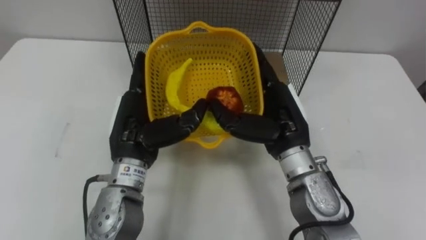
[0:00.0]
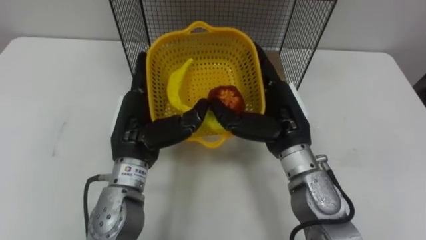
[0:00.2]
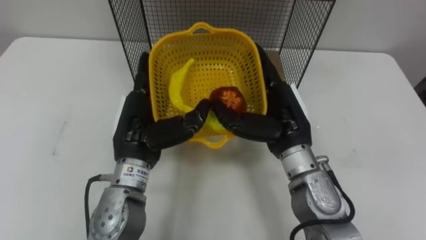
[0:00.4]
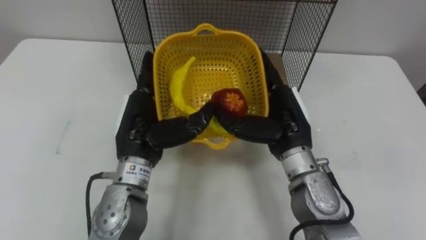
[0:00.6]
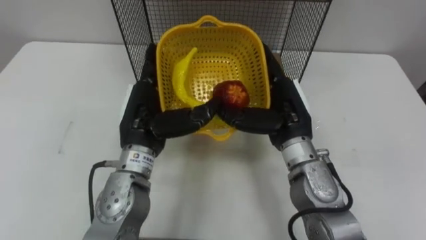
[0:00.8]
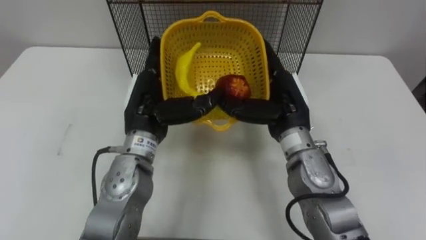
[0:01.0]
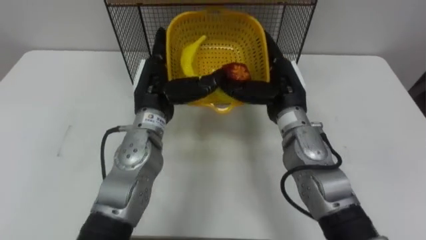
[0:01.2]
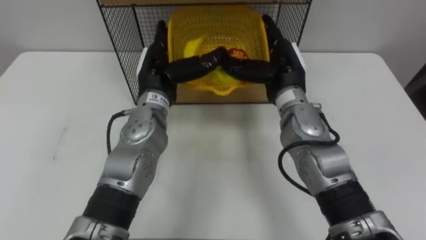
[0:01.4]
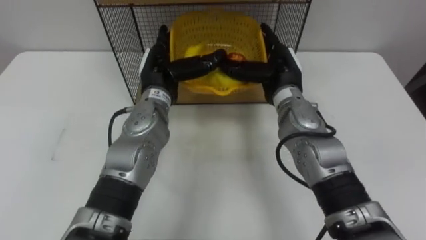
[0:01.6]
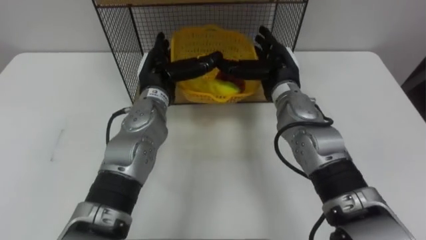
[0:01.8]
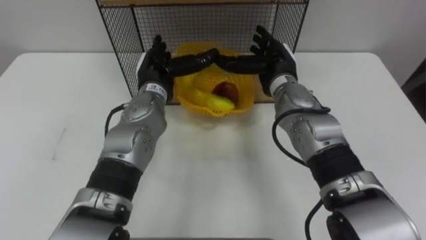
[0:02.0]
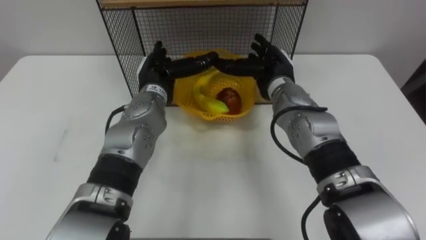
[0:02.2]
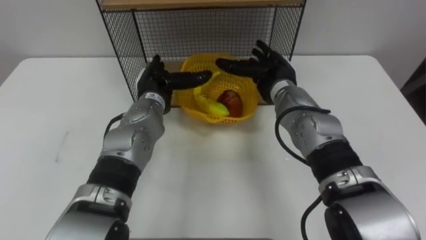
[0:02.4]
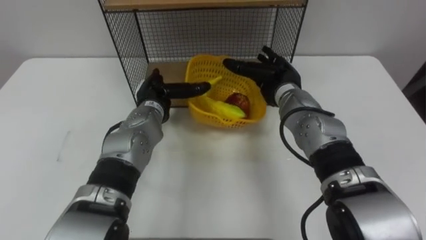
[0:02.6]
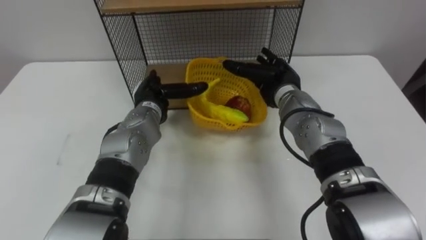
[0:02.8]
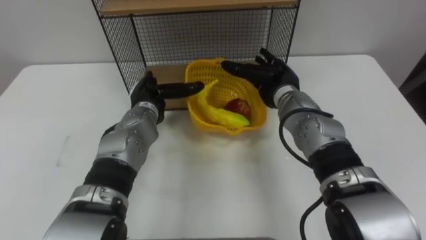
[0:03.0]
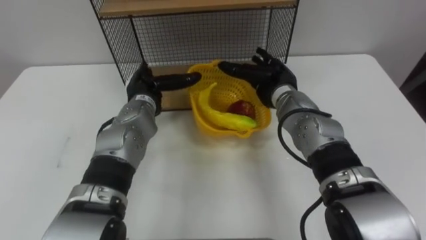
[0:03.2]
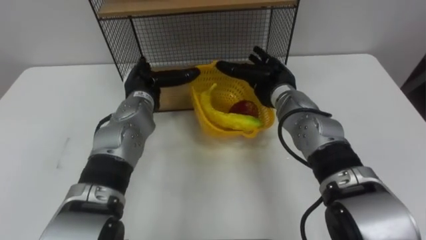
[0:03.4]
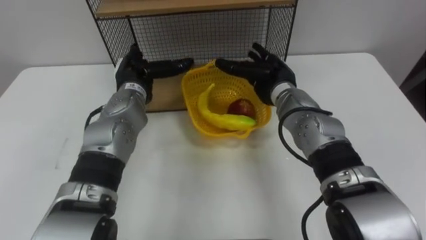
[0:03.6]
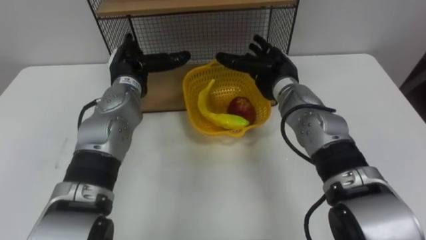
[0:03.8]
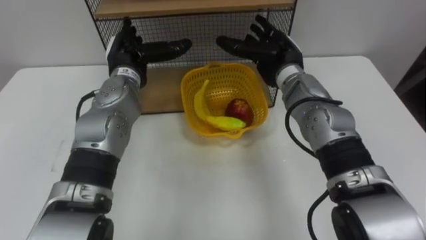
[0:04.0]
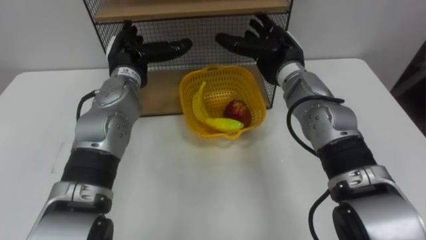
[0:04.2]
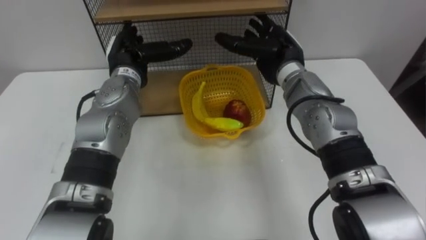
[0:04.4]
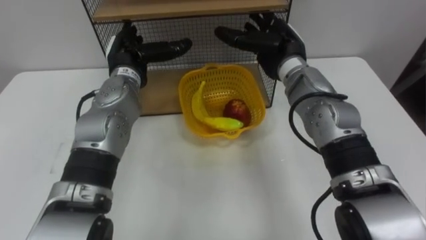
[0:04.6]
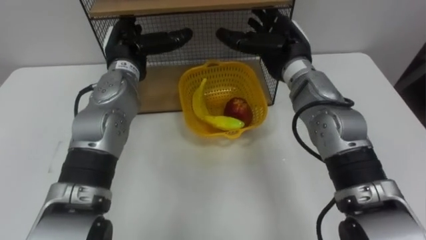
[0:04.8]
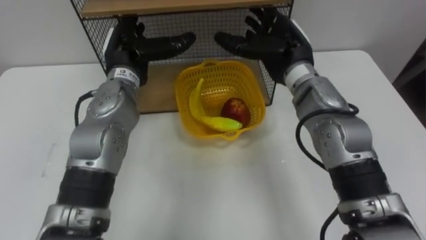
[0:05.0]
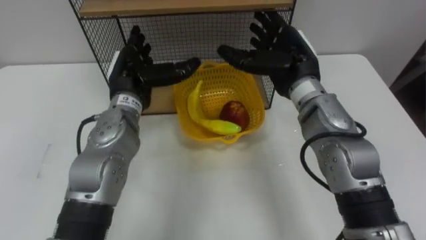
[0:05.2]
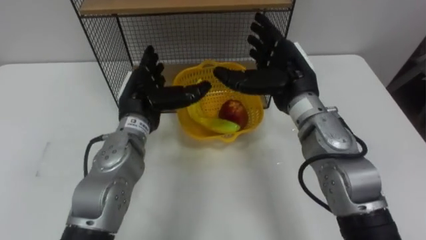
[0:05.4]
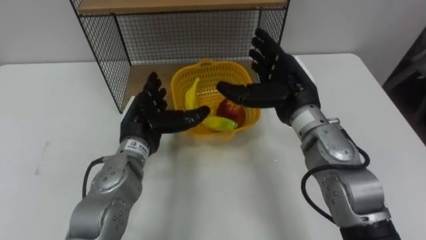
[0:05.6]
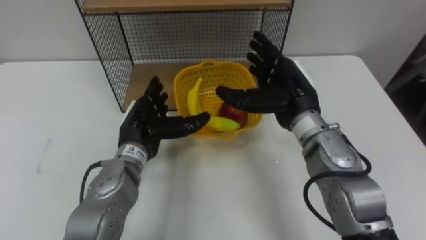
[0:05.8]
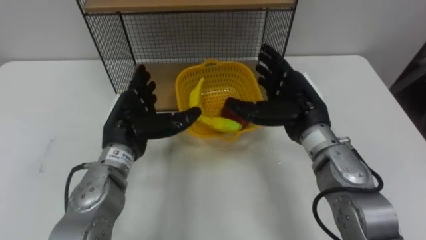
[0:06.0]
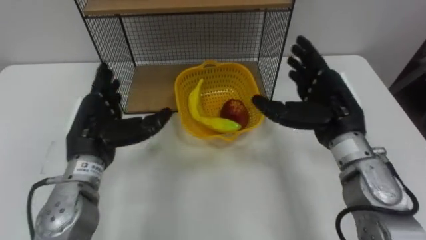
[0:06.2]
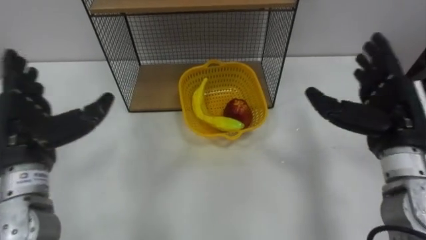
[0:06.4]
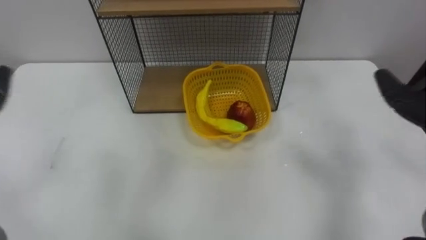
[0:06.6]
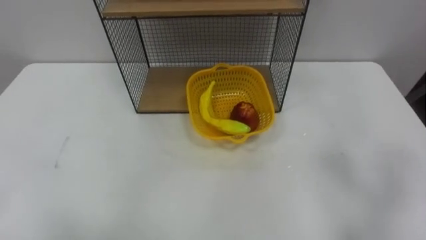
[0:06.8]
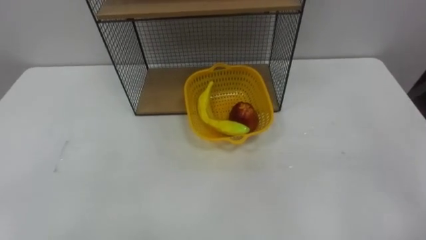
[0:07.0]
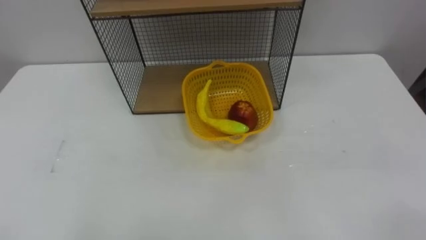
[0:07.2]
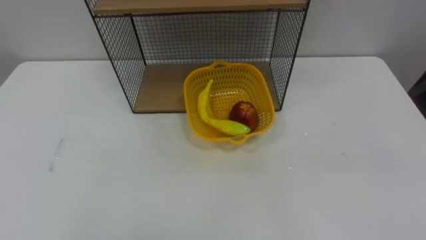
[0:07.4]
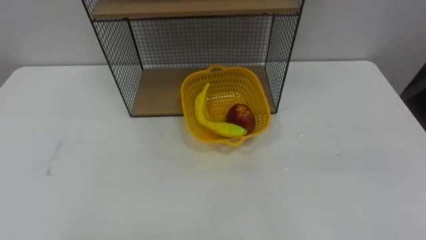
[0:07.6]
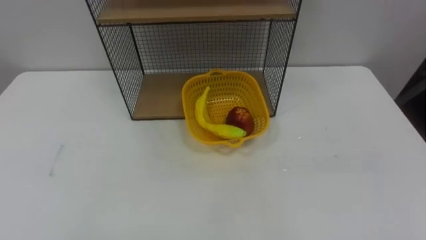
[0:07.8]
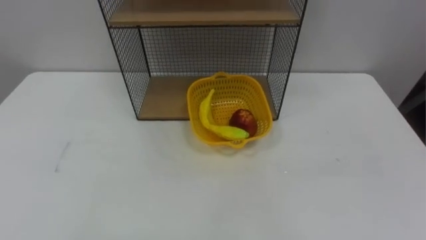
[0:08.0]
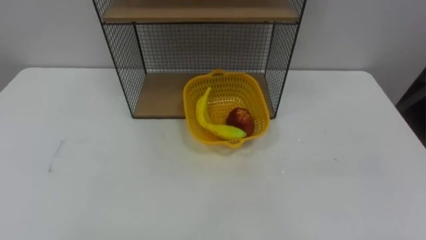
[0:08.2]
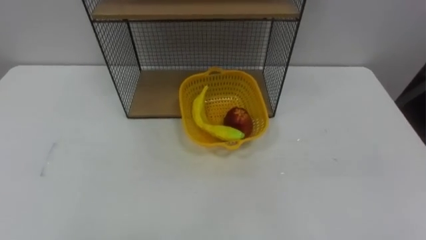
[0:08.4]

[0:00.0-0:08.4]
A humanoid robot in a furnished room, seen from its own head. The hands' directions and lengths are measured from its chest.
Task of the whole recording: Put the fruit on the table into the basket, then place the basket on the shelf.
0:00.0 to 0:01.4: The two hands go some 10 cm forward.
0:01.4 to 0:02.8: Both hands move downward, some 5 cm.
0:02.8 to 0:04.2: Both hands travel together upward, some 5 cm.
0:04.2 to 0:05.6: The right hand travels backward by roughly 10 cm; the left hand is displaced backward and downward by some 10 cm.

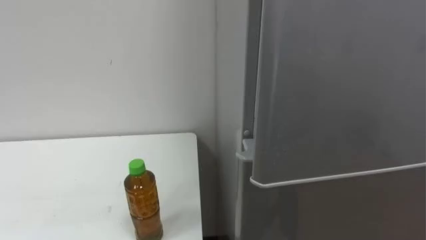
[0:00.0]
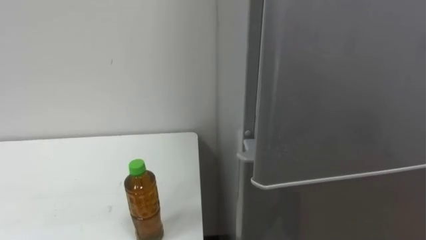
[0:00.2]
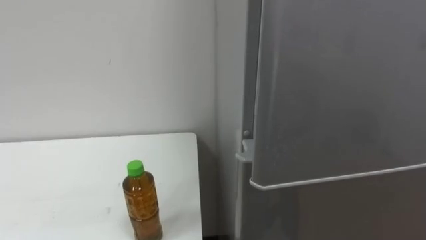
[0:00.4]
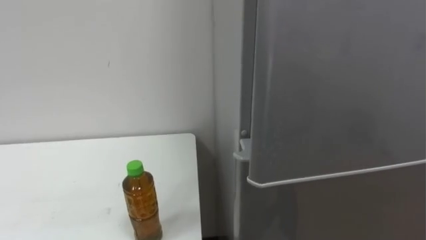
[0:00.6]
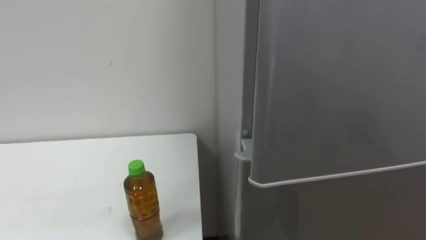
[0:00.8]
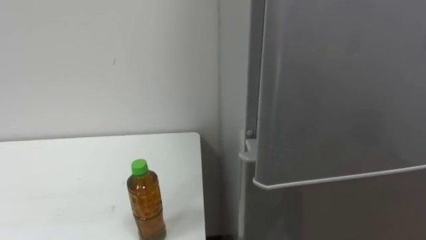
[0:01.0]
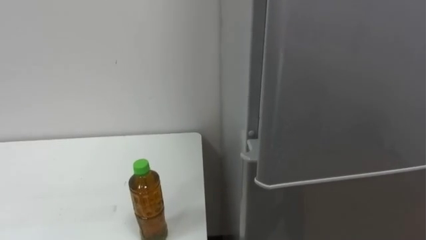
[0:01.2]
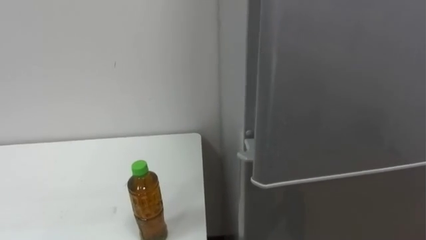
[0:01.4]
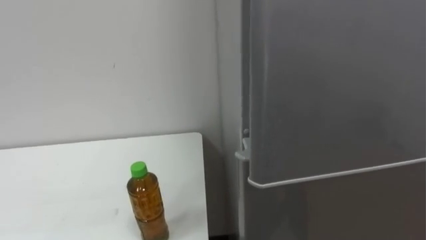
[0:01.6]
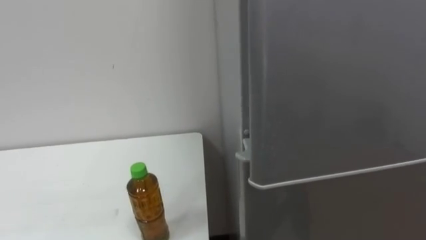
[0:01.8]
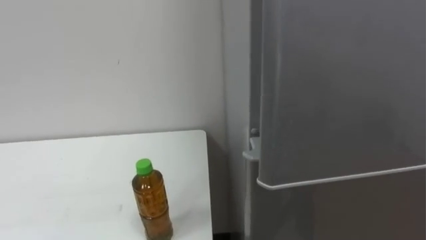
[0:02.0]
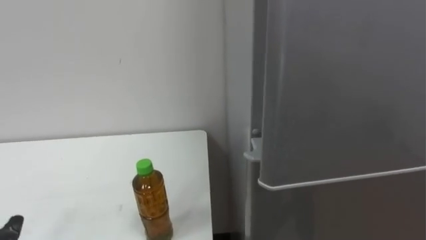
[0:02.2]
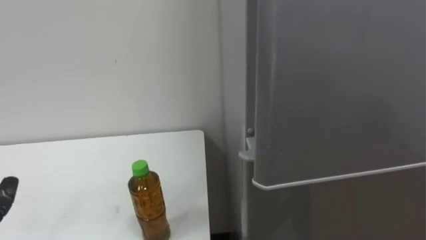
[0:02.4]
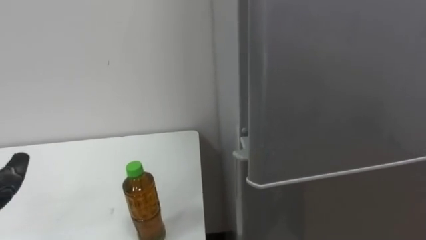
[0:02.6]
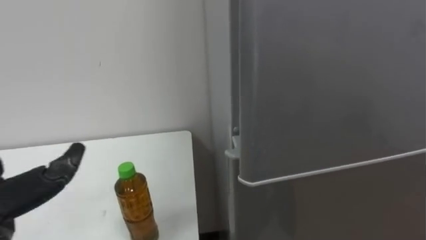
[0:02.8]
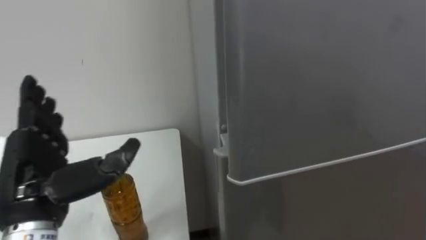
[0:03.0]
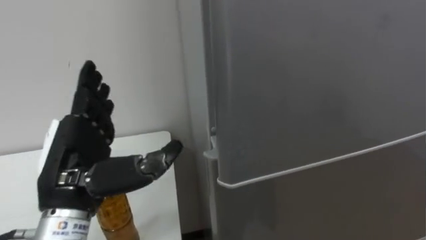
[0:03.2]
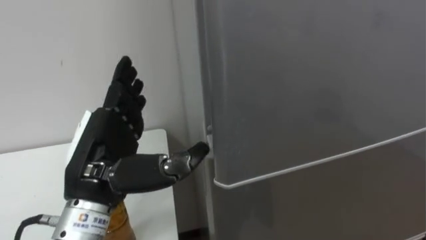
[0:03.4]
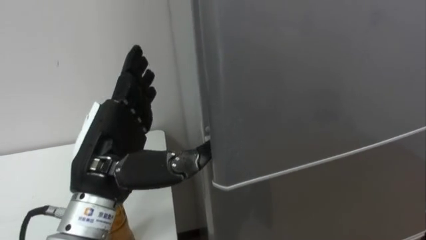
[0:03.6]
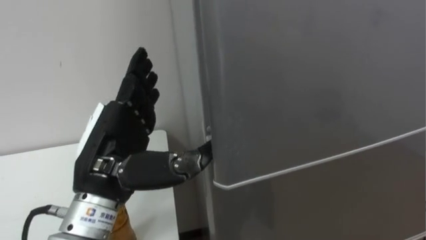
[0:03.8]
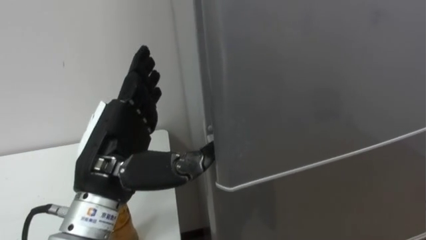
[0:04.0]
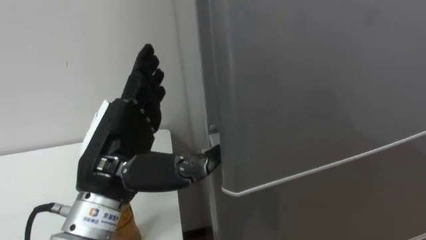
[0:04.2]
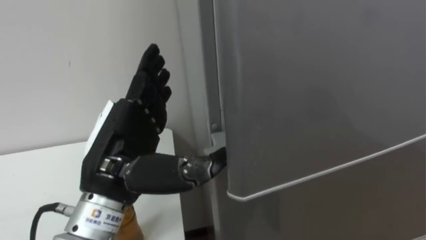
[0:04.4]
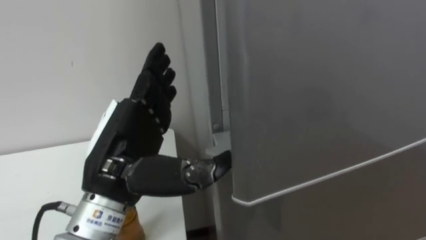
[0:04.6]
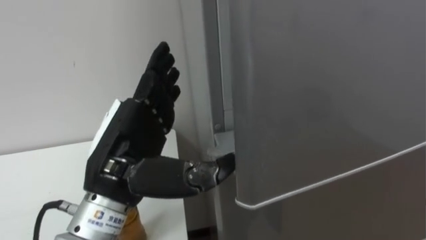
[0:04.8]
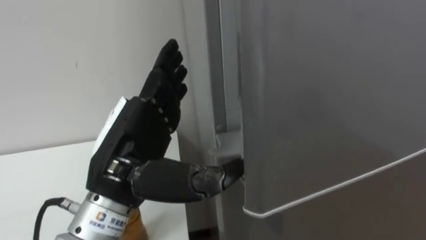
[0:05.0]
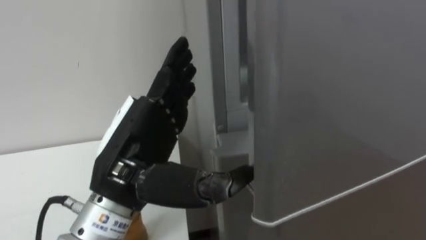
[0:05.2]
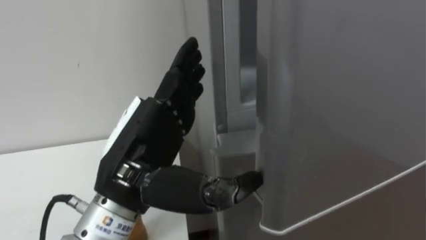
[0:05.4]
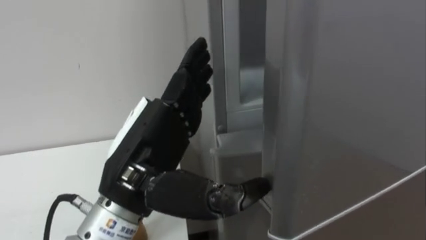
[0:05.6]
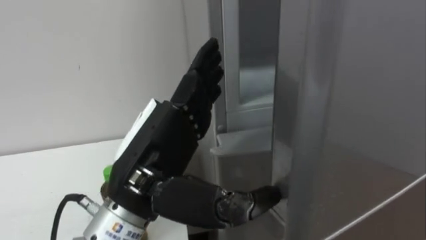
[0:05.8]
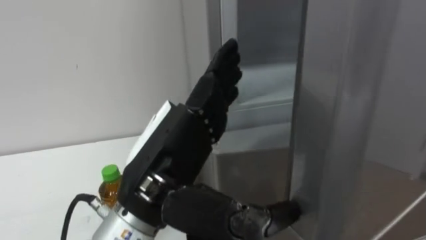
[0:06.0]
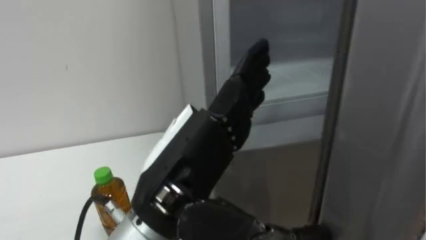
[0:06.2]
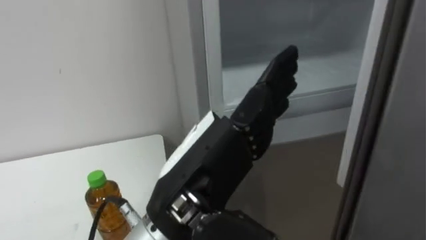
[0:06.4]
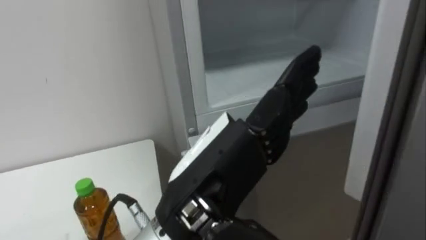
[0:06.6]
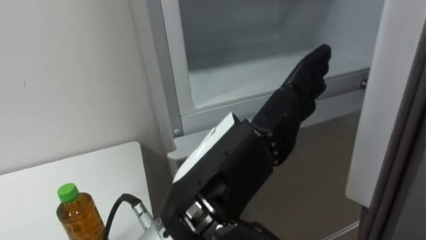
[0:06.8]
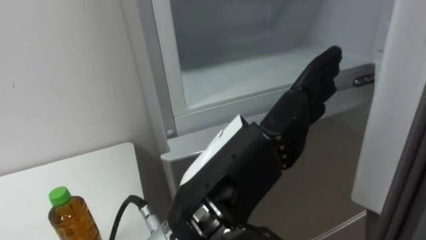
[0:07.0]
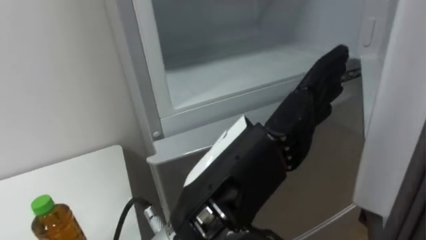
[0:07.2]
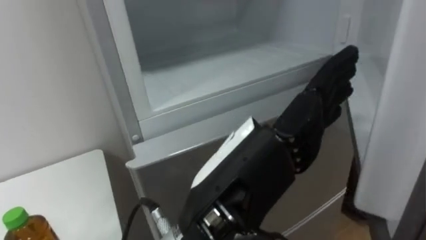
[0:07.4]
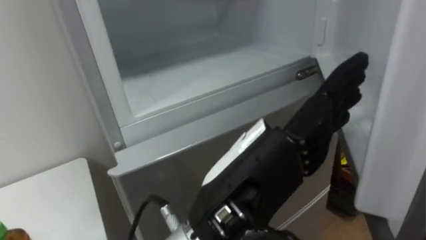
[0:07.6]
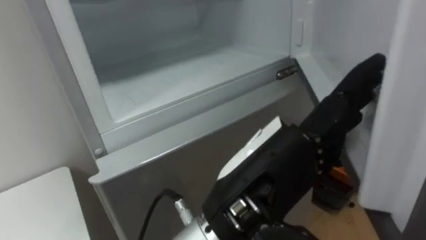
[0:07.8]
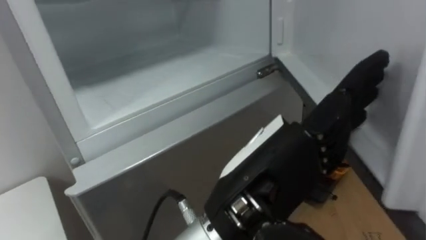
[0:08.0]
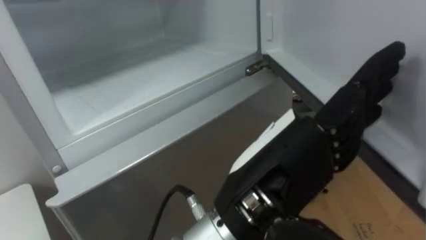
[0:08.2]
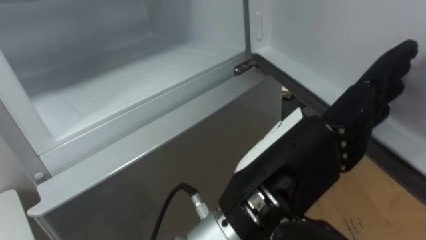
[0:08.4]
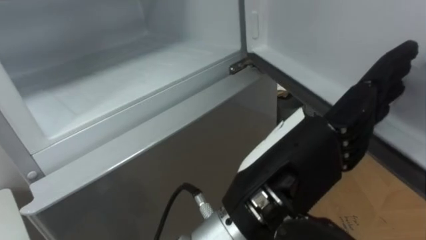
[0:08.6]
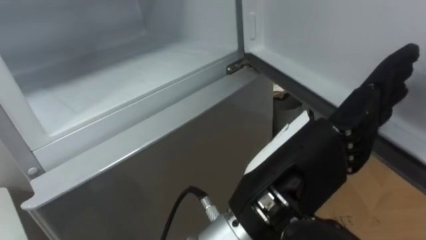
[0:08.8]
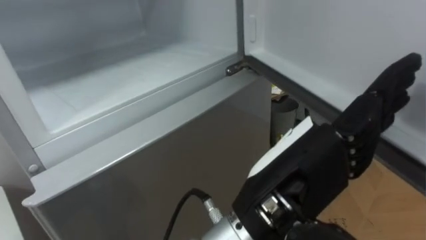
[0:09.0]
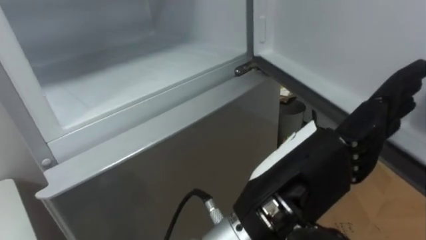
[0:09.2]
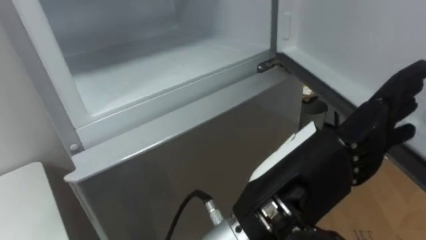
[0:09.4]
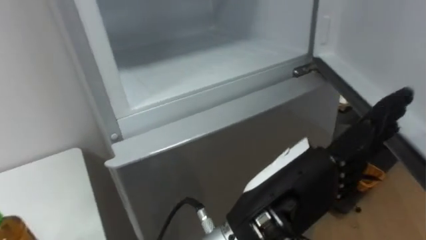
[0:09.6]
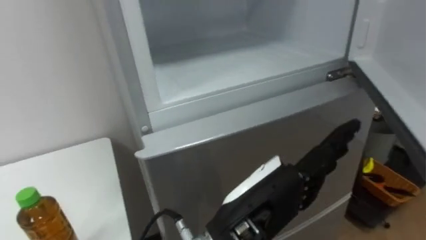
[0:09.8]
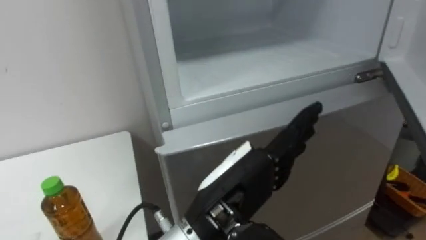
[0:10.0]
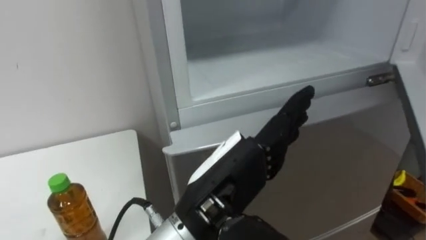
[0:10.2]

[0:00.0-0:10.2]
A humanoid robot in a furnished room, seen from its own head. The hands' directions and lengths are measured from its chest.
Task of the whole recording: Open the upper refrigerator door, put the drink from the table into the refrigerator, and then close the refrigerator door.
0:03.0 to 0:04.4: The left hand travels to the right by about 10 cm.
0:04.4 to 0:05.8: The left hand shifts by some 5 cm.
0:05.8 to 0:07.2: The left hand goes approximately 10 cm to the right and backward.
0:07.2 to 0:08.8: The robot rotates roughly 15 degrees to its right. The left hand heads to the right, covering some 5 cm.
0:08.8 to 0:10.2: The left hand is displaced to the left by roughly 5 cm.
